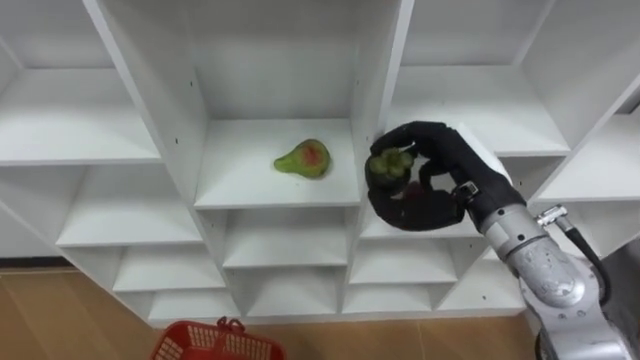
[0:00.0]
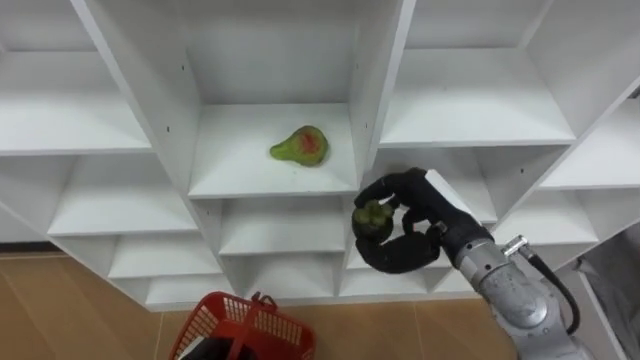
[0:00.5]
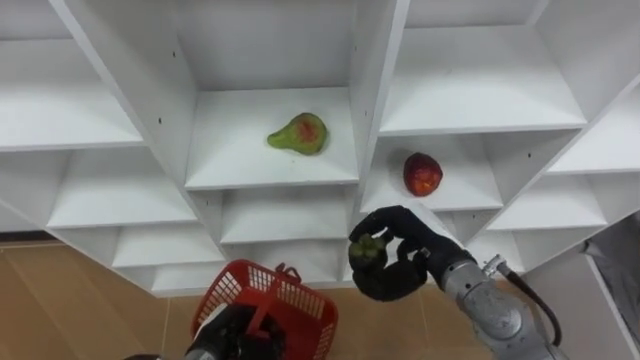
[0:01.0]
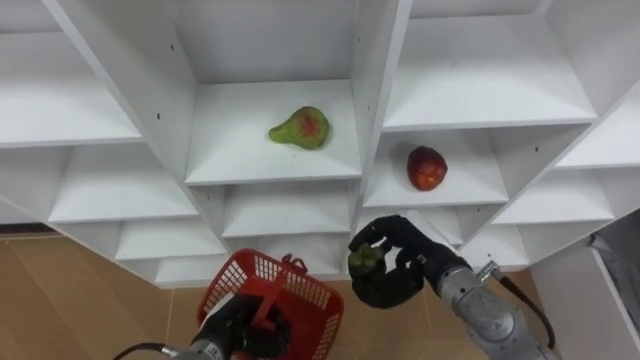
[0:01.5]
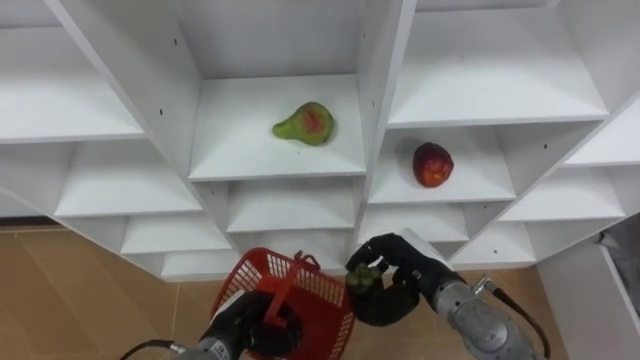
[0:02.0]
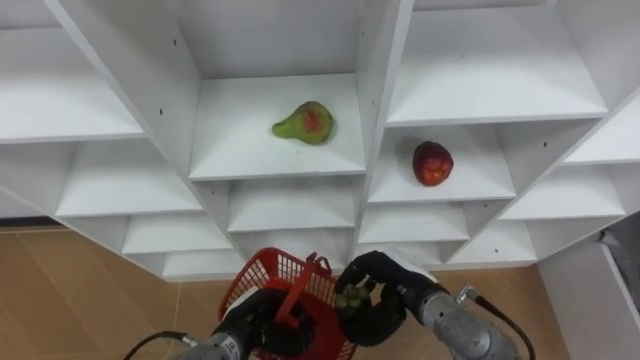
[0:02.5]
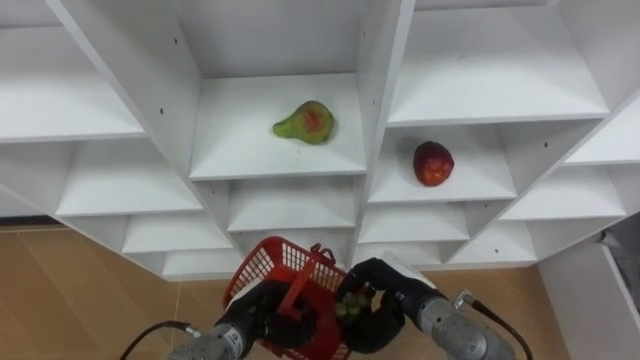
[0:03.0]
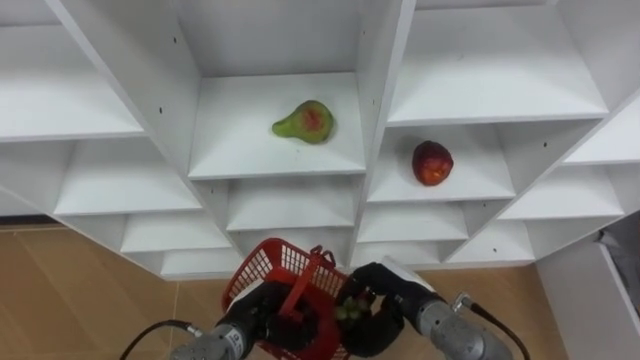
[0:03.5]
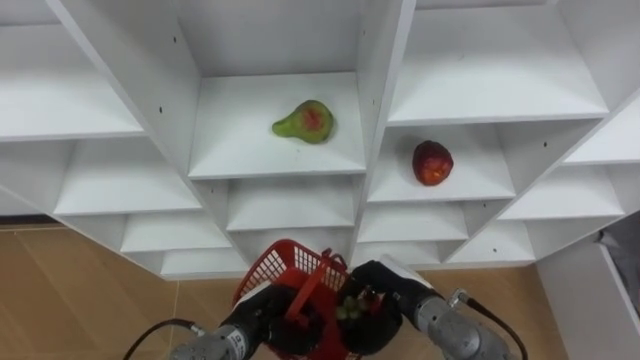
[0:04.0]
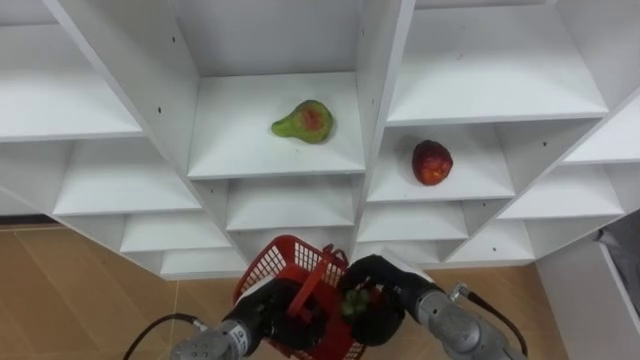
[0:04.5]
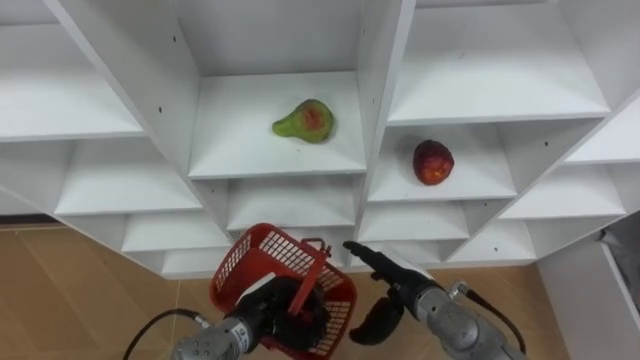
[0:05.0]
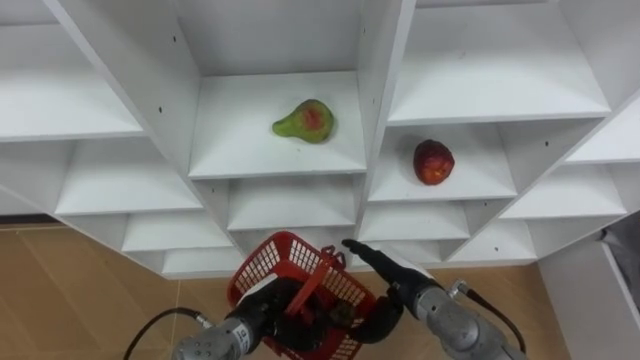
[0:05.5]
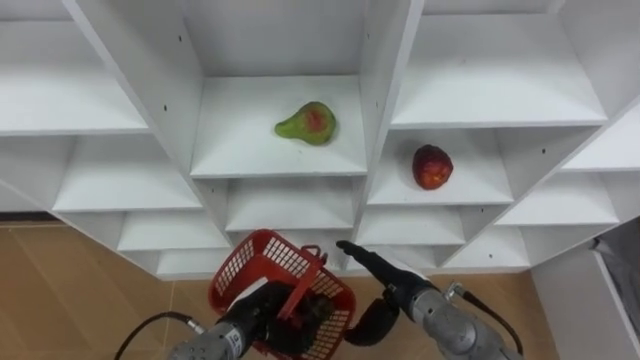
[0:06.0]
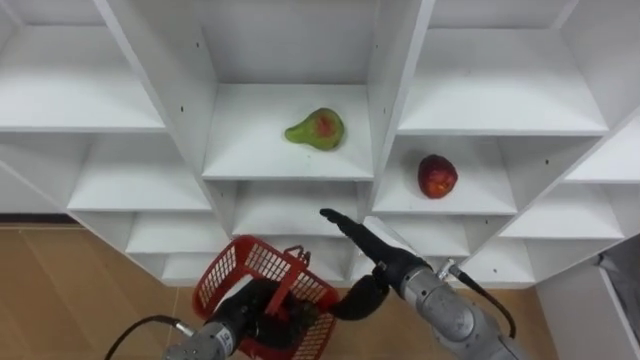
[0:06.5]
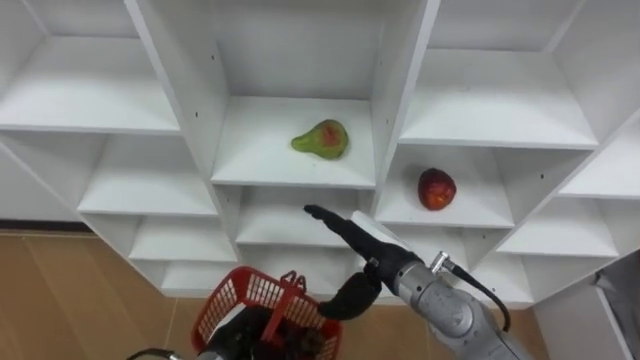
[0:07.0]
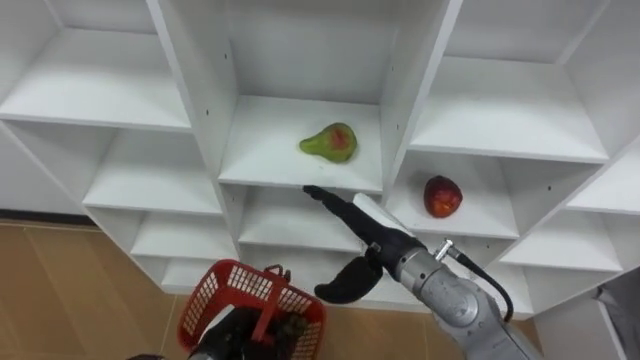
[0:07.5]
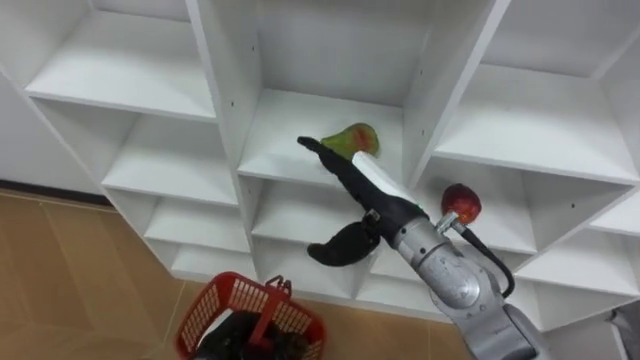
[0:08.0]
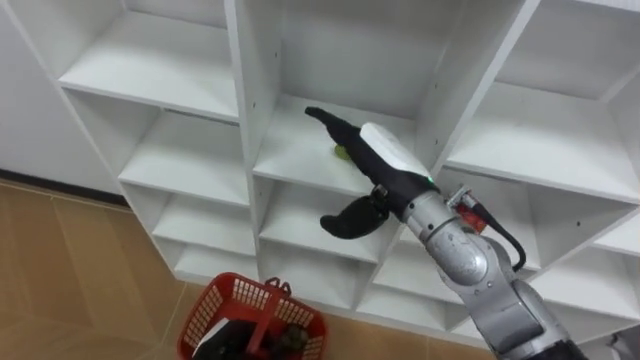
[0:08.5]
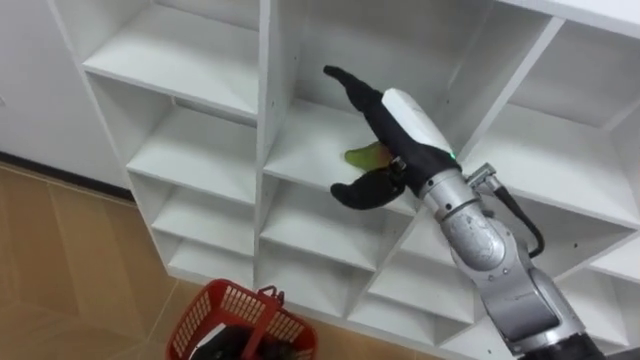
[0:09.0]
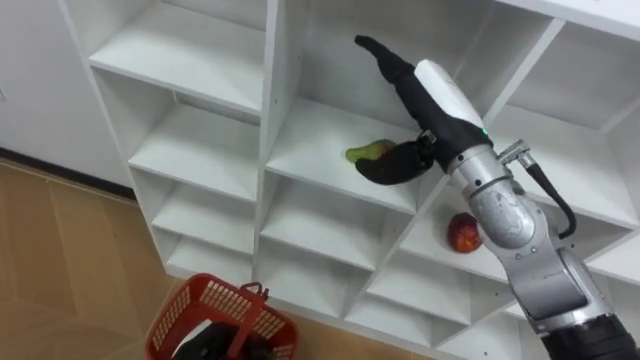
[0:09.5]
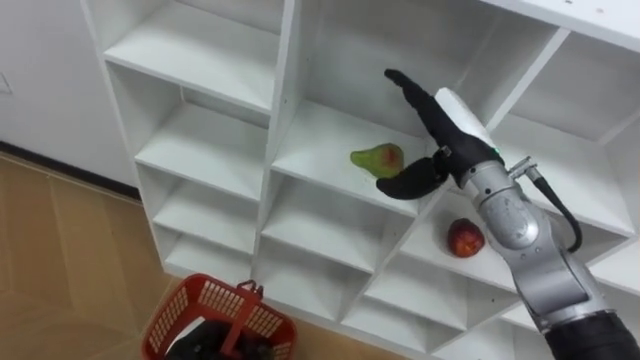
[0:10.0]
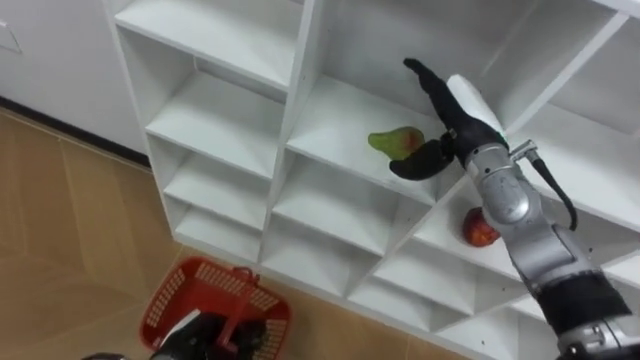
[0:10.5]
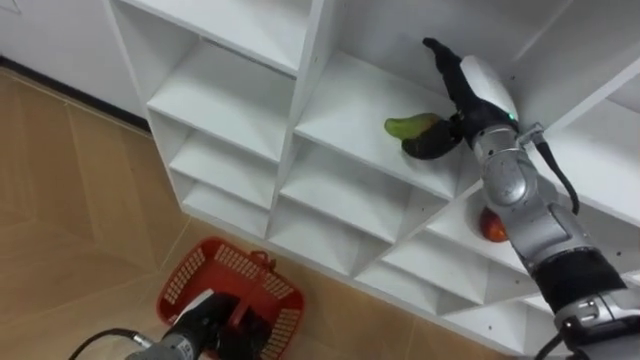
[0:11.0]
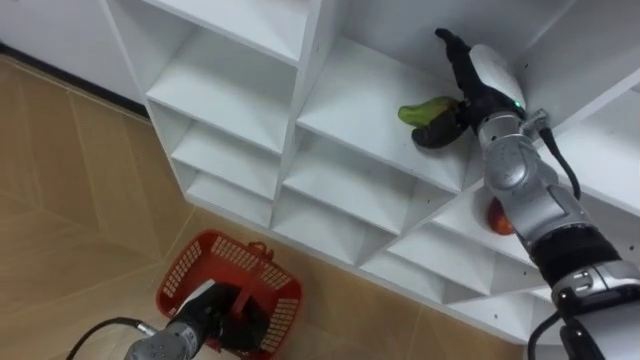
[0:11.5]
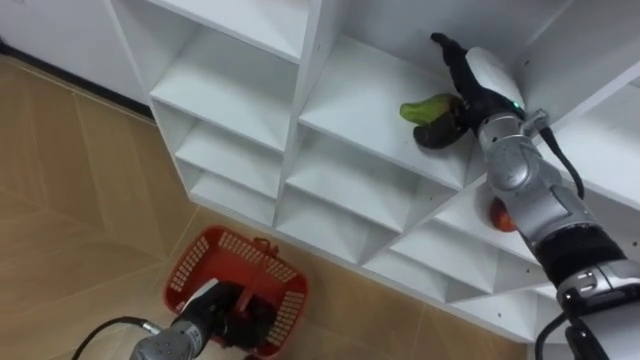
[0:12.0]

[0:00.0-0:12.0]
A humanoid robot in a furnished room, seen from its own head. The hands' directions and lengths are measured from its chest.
Task of the whole recording: Hold the basket and collect the fruits from 3 different cells of the closet into it.
0:00.0 to 0:02.0: The right hand travels downward by about 15 cm.
0:02.0 to 0:04.0: The hands make only small movements.
0:04.0 to 0:06.0: The right hand opens up.
0:06.0 to 0:08.0: The left hand changes place by roughly 5 cm. Meanwhile the right hand goes approximately 15 cm upward.
0:08.0 to 0:10.0: The right hand goes roughly 10 cm to the right and forward.
0:10.0 to 0:12.0: The hands both shift forward by approximately 5 cm.

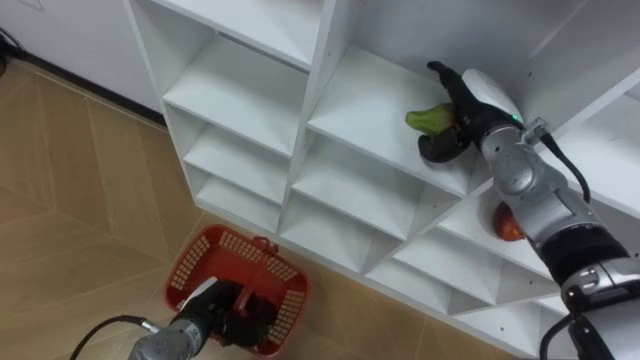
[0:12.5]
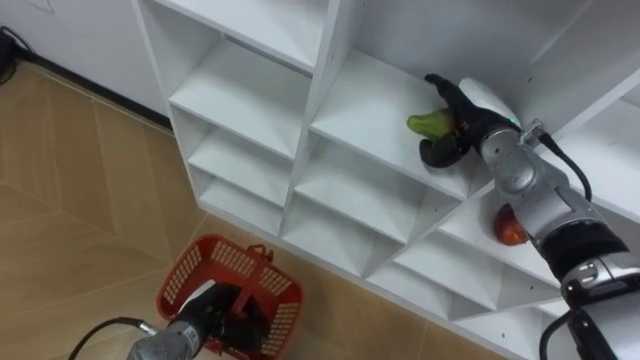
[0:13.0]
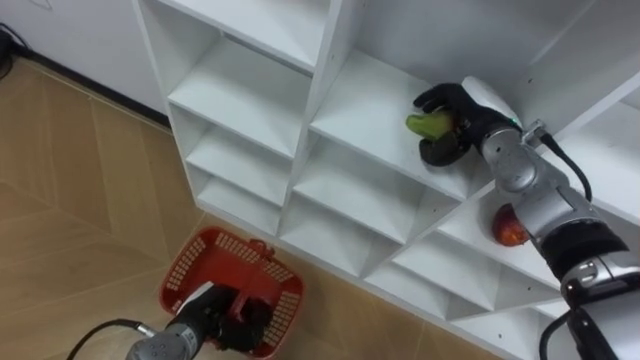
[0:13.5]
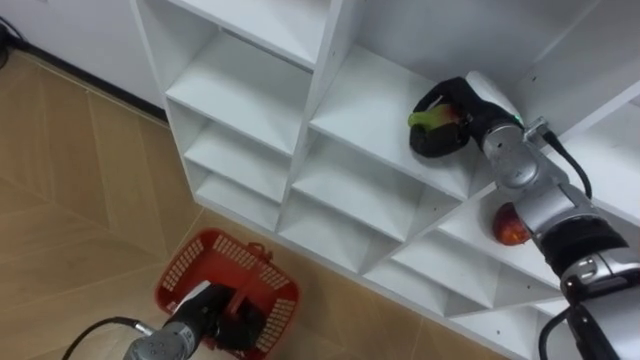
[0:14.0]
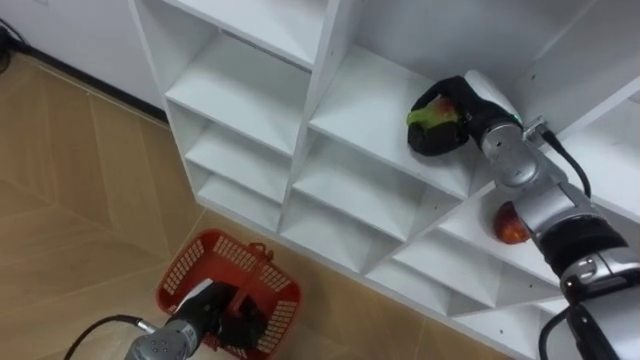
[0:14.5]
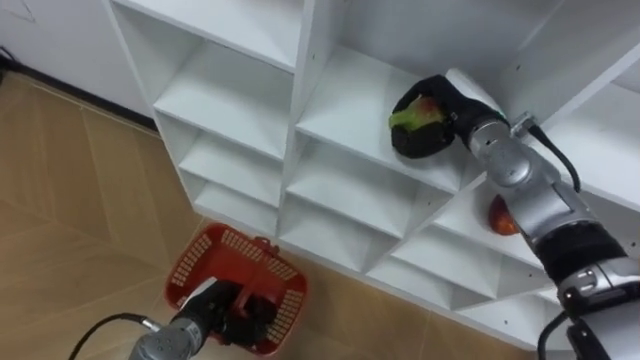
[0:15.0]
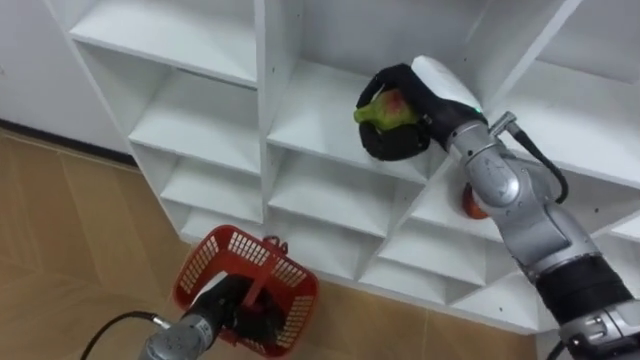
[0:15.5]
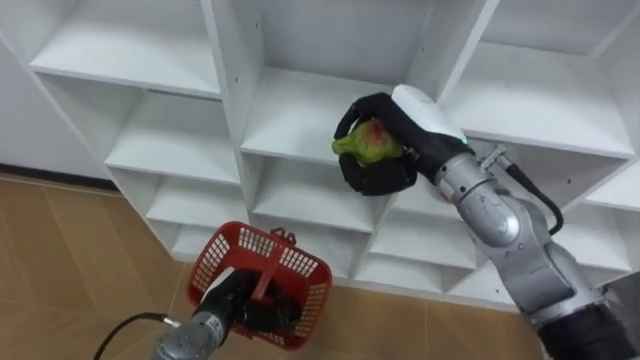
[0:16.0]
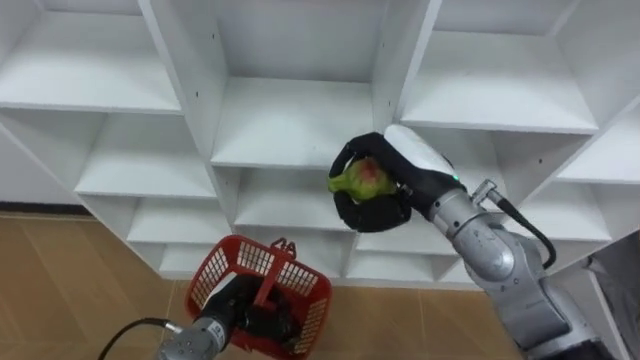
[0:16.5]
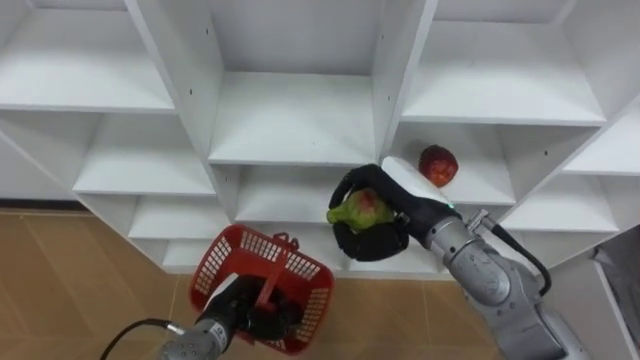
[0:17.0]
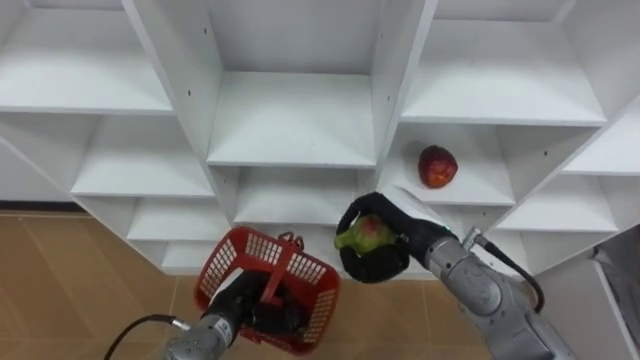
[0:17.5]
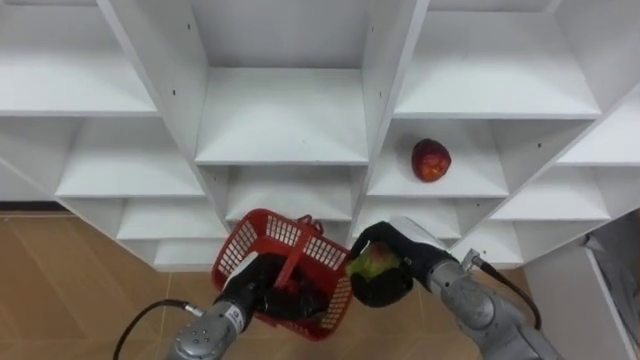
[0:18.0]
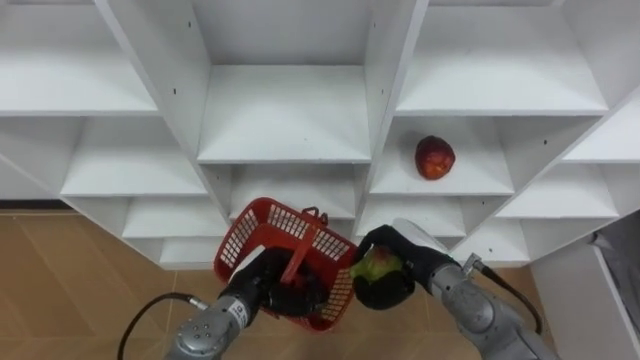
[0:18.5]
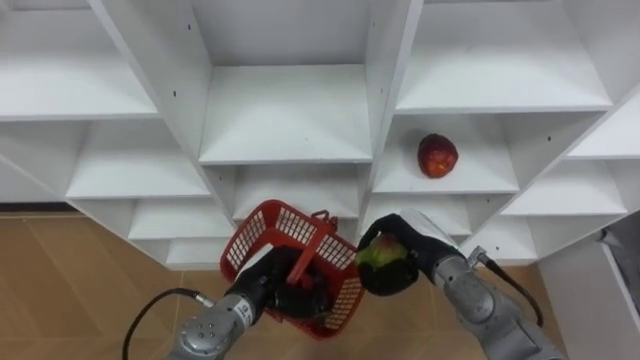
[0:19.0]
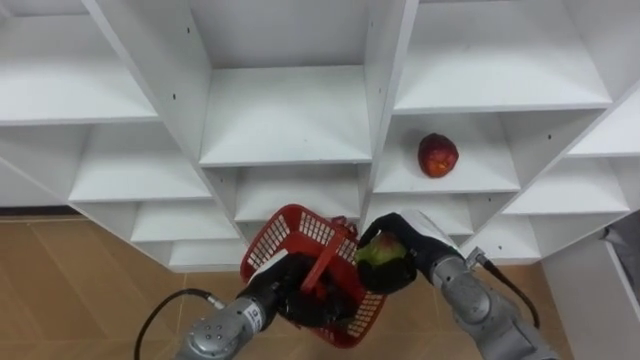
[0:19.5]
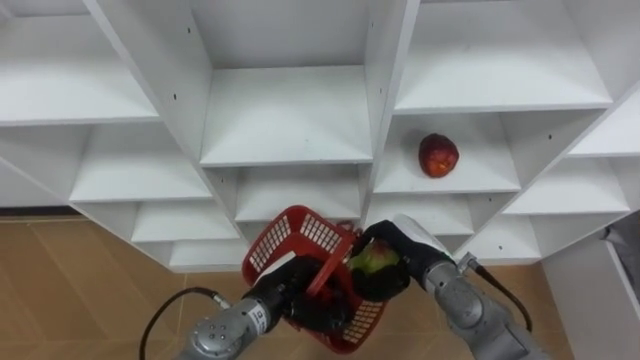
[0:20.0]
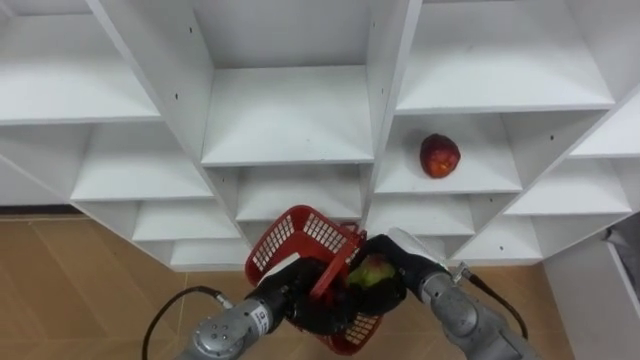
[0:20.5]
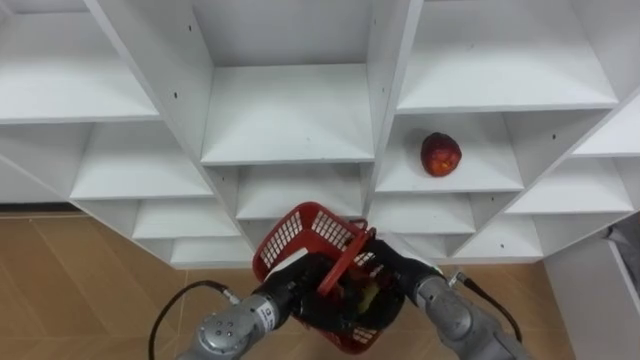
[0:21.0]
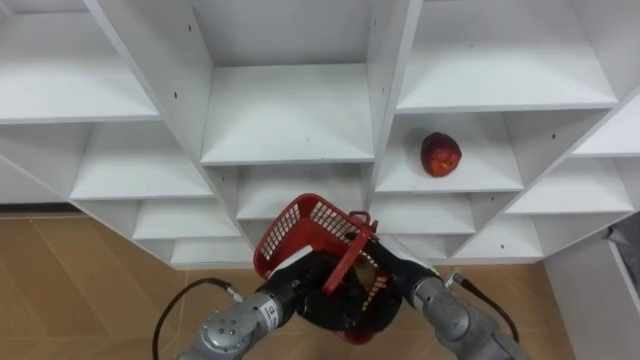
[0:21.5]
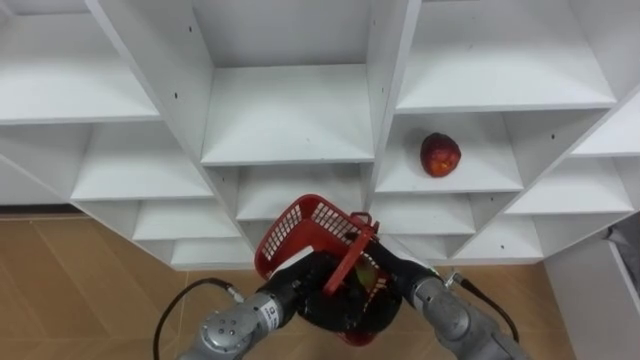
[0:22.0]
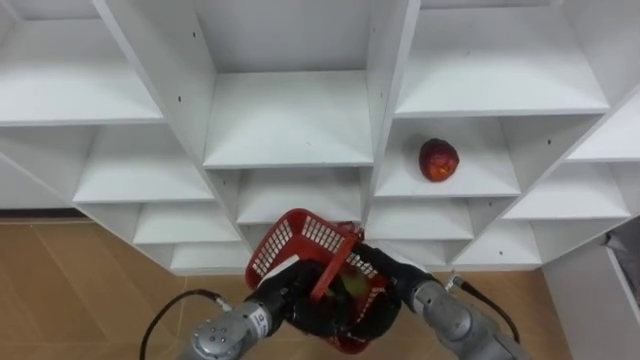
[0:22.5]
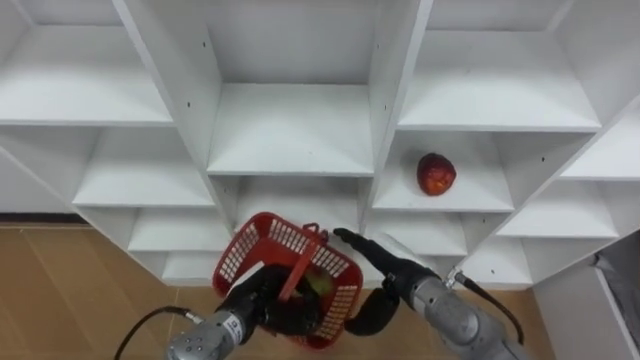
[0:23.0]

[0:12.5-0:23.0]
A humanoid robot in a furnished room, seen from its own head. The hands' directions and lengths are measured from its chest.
Task of the whole recording: Hold the basket and collect the fruits from 3 different cells of the closet into it.
0:12.5 to 0:14.5: The right hand closes up.
0:14.5 to 0:16.5: The right hand goes some 15 cm backward and to the left.
0:16.5 to 0:19.0: The left hand ends up roughly 5 cm from where it was. The right hand goes some 15 cm downward.
0:19.0 to 0:21.0: The right hand opens.
0:21.0 to 0:23.0: The left hand heads to the left, covering roughly 5 cm.
